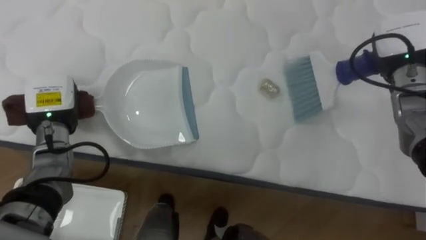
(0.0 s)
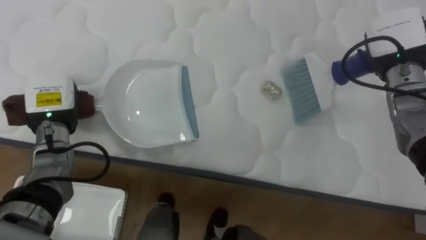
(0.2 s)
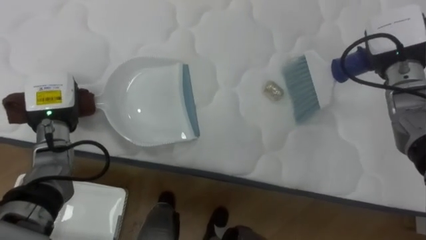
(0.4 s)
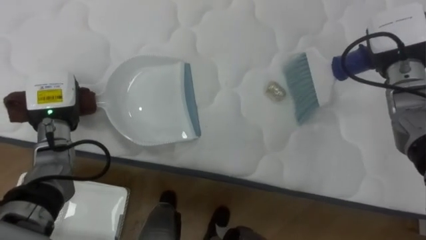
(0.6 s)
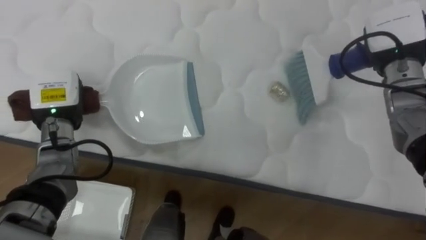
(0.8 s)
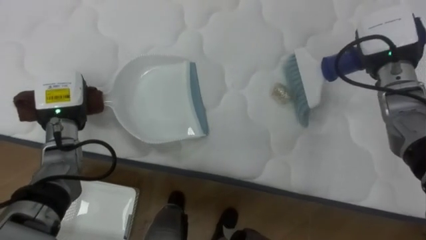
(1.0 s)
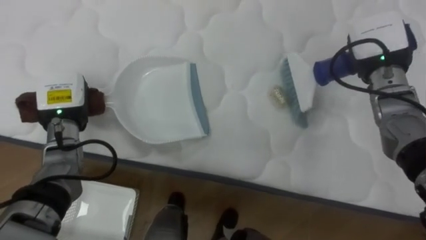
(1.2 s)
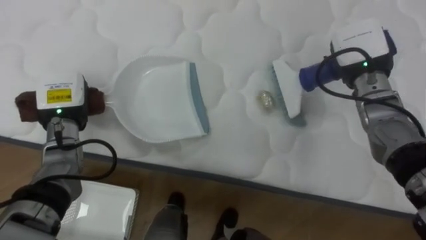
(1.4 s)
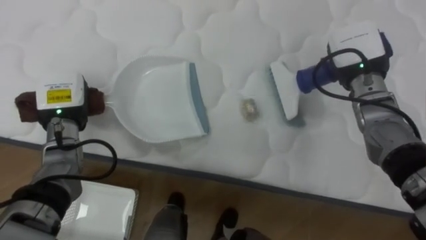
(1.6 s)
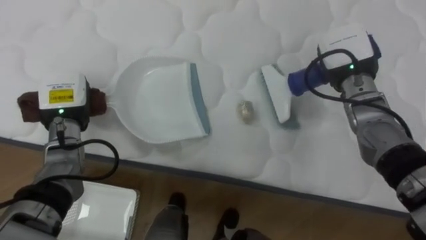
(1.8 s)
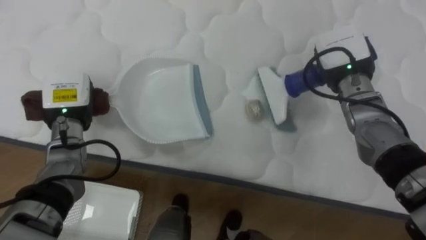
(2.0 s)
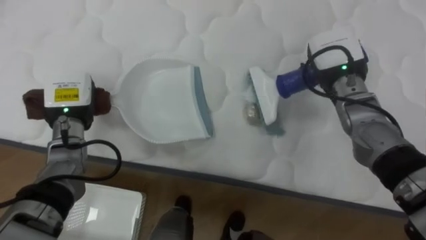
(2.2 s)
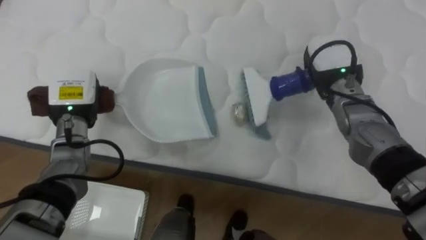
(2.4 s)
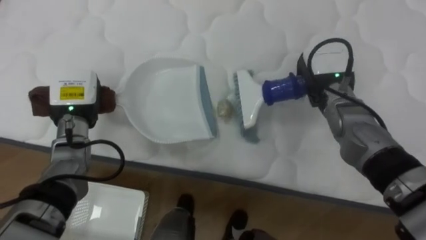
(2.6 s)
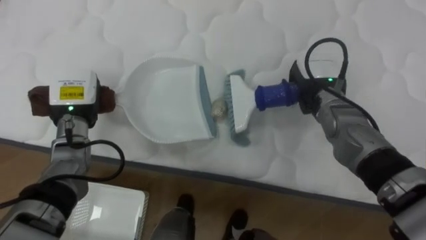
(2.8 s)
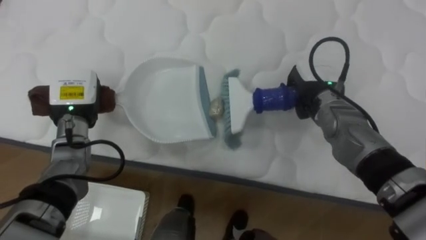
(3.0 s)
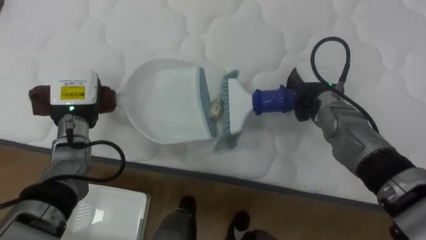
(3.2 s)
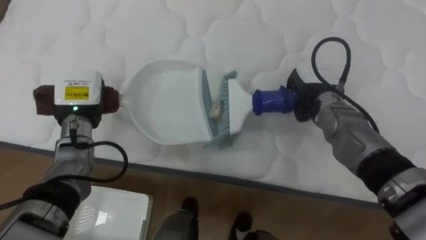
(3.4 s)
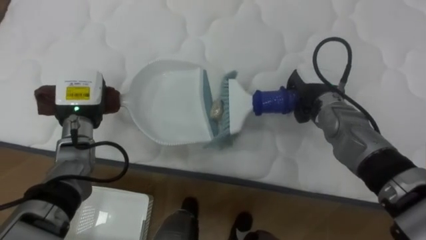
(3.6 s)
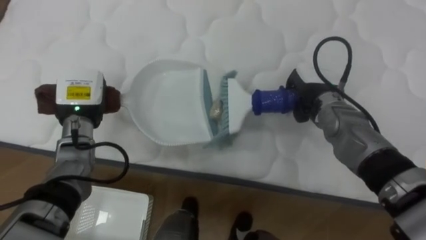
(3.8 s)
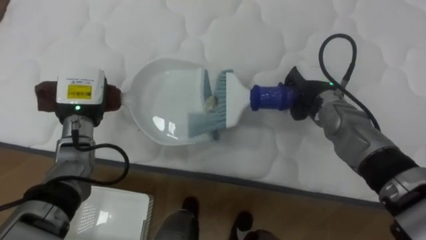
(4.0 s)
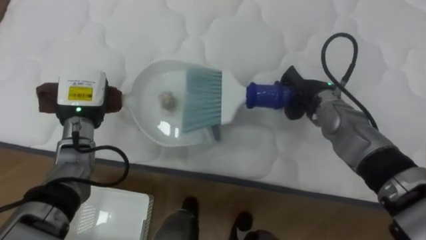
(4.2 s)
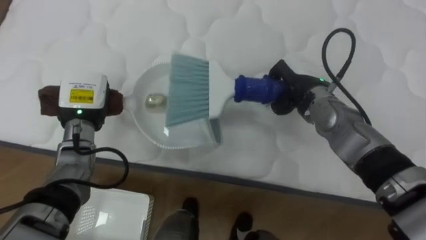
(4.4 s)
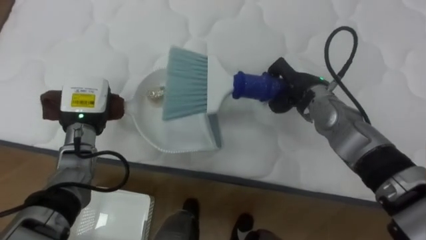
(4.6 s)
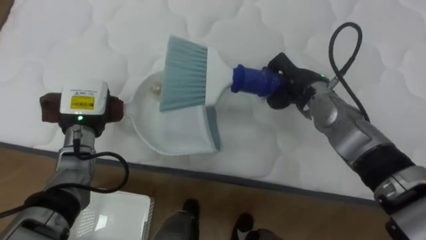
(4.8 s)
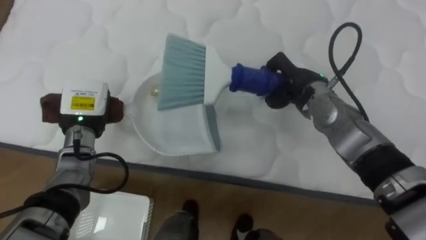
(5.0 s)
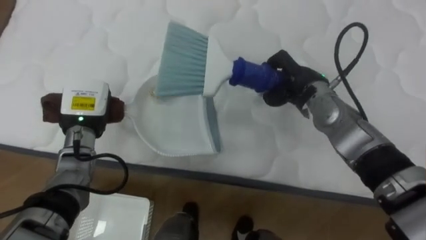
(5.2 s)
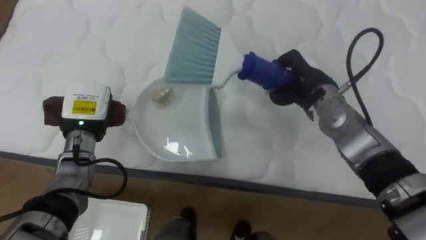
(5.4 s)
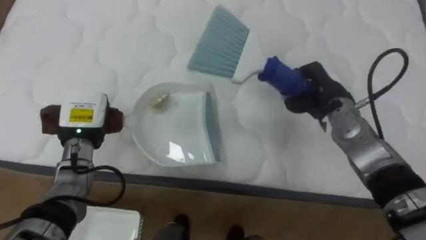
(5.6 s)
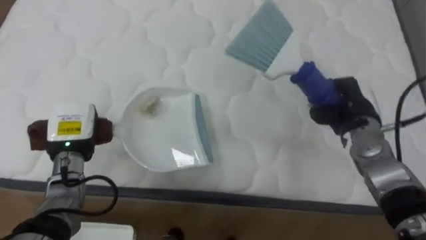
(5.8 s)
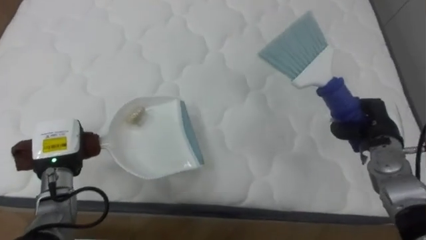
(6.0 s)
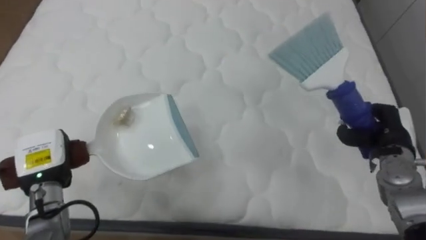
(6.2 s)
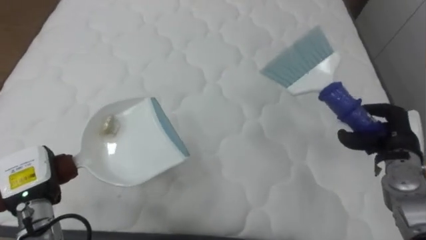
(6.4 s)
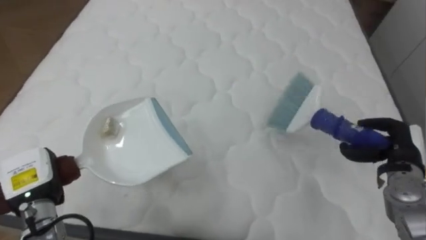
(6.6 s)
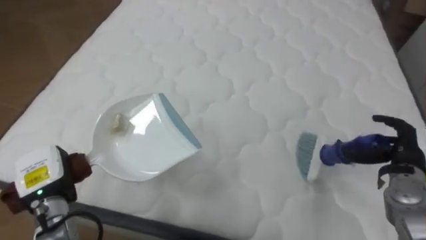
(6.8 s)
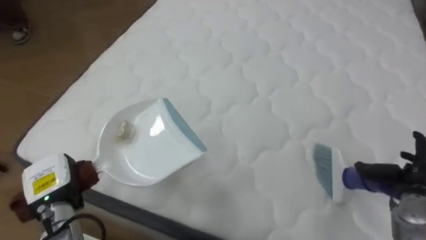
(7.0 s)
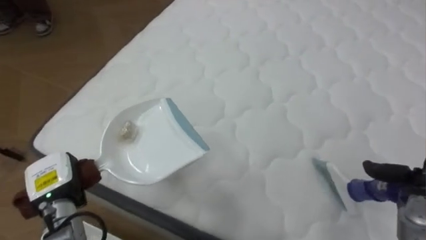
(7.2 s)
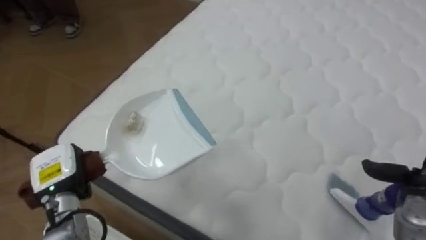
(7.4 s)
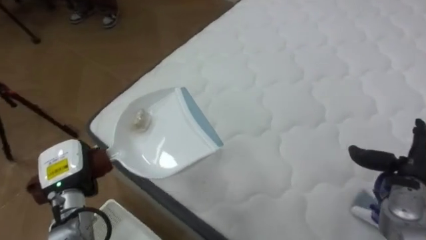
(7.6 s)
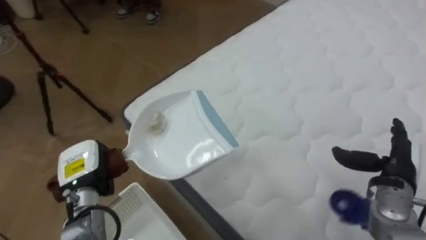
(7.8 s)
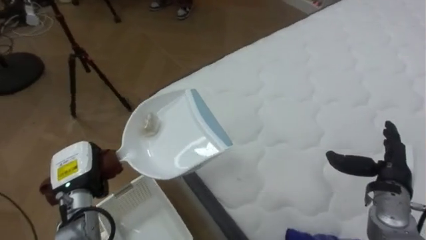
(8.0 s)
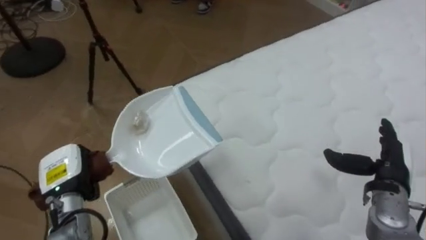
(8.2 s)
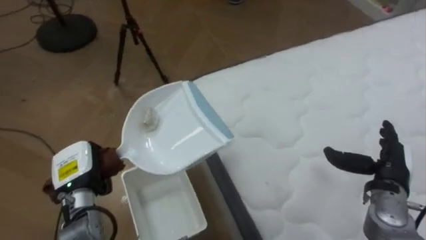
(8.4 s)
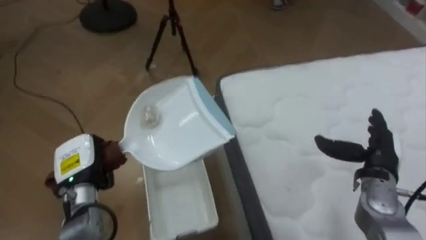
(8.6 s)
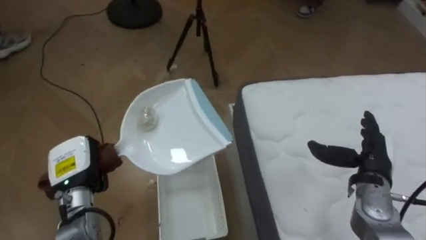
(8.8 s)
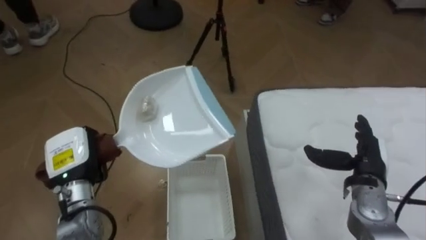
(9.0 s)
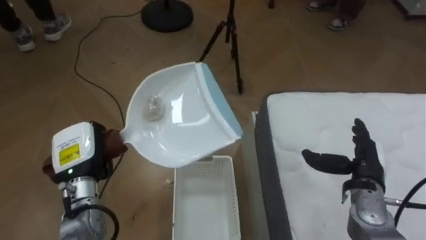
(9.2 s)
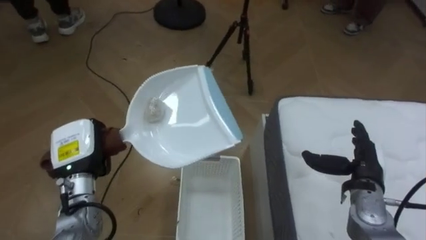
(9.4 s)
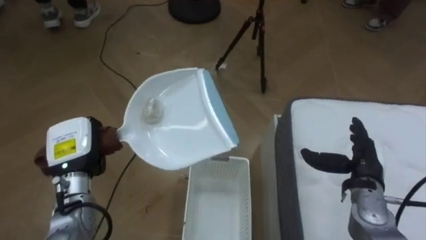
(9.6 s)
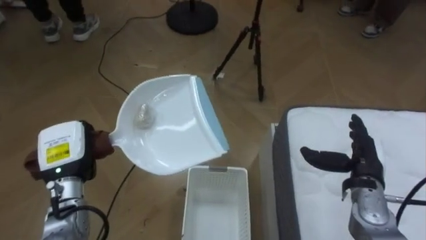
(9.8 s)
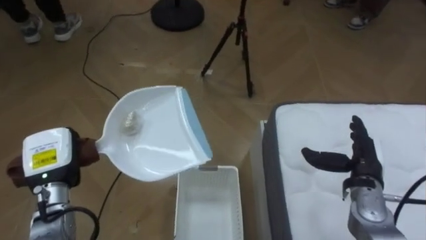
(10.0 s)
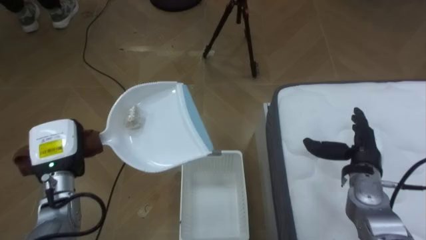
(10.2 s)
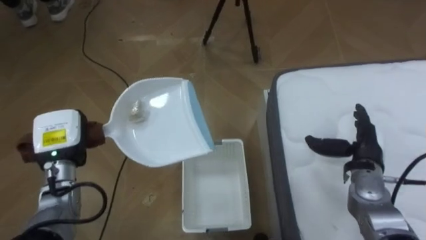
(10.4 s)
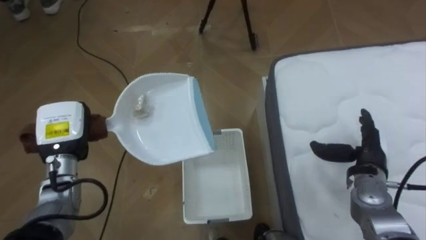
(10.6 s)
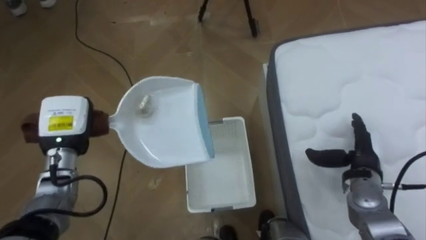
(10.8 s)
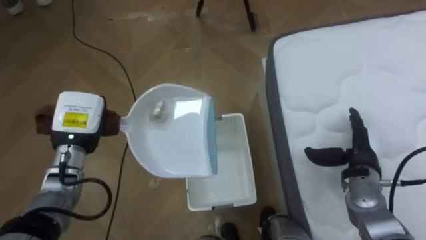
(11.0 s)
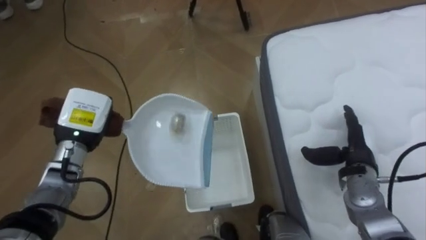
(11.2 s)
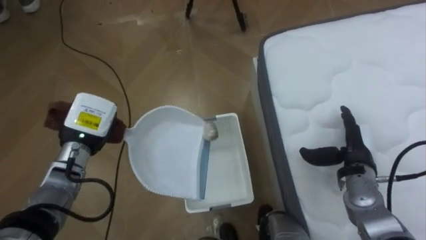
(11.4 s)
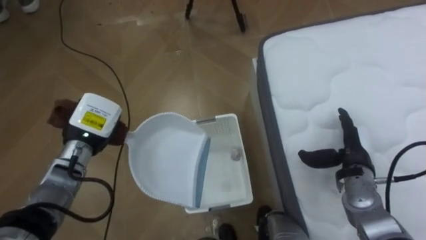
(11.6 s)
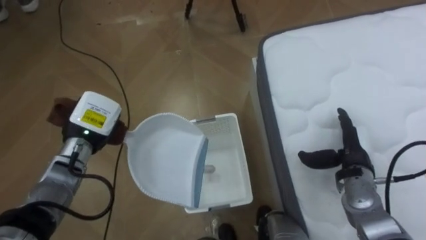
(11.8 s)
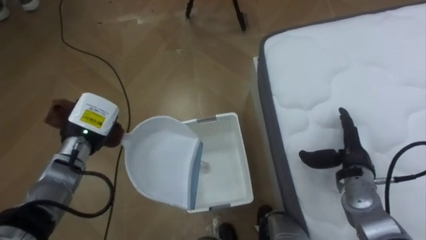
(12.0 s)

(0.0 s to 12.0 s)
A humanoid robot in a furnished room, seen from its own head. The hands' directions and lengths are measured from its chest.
Task of the whole recording: Pick up the brush on your right and the dustpan on your left. Use the brush to sweep the crumpled paper on the bed into the dustpan, then turn left and empty it into the basket.
0.0 s - 1.6 s: The right hand heads to the left, covering about 5 cm.
1.6 s - 3.0 s: The right hand moves downward and to the left, about 10 cm.
3.0 s - 4.4 s: The hands make only small movements.
4.4 s - 6.0 s: The left hand shifts some 10 cm backward, downward and to the left; the right hand shifts some 15 cm to the right and backward.
6.0 s - 7.6 s: The robot turns to its left by about 35 degrees. The right hand shifts approximately 10 cm backward, and opens.
7.6 s - 9.0 s: The robot rotates some 45 degrees to its left. The right hand travels to the left by approximately 5 cm.
10.4 s - 12.0 s: The left hand shifts by approximately 5 cm.

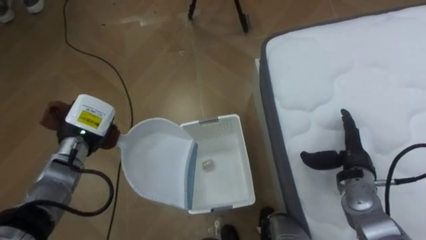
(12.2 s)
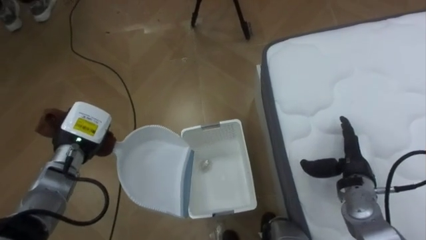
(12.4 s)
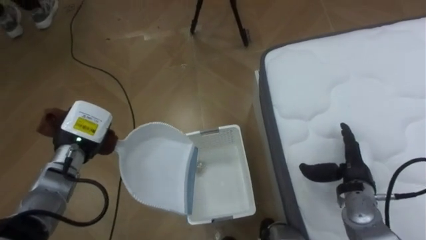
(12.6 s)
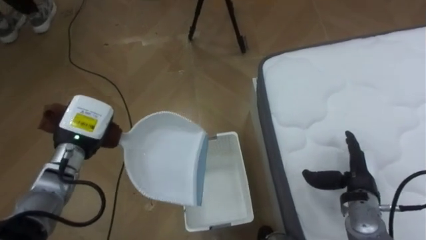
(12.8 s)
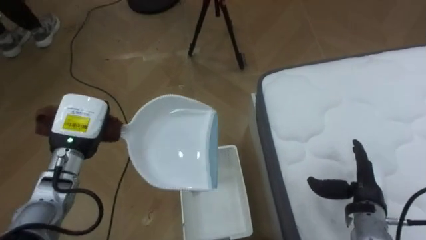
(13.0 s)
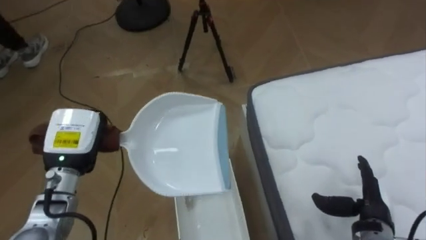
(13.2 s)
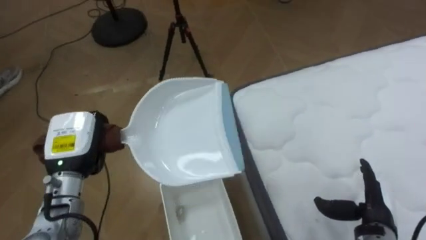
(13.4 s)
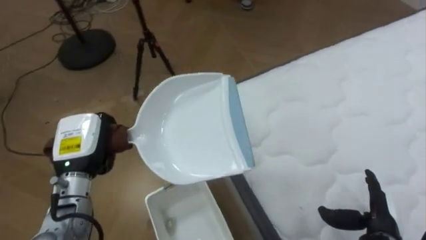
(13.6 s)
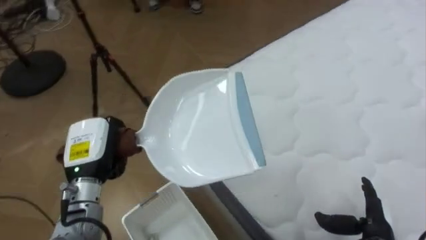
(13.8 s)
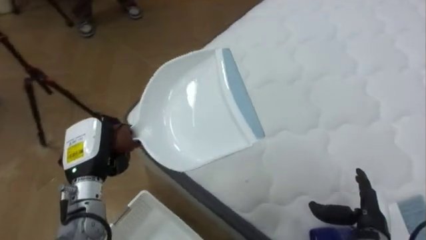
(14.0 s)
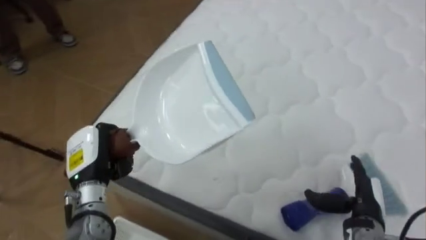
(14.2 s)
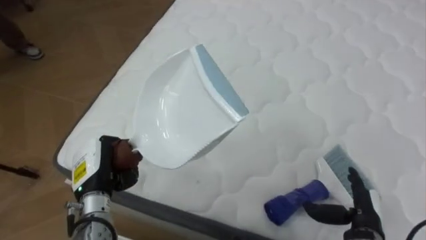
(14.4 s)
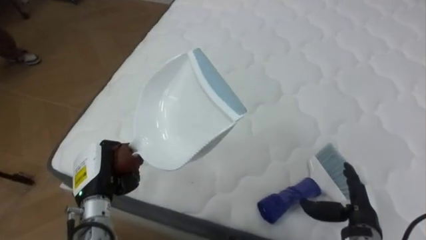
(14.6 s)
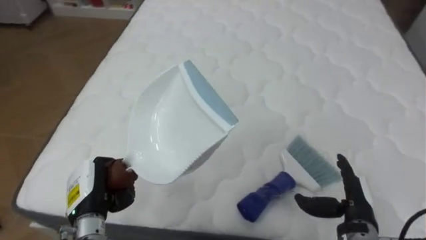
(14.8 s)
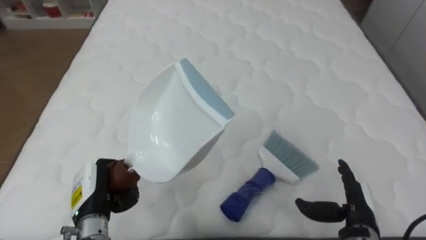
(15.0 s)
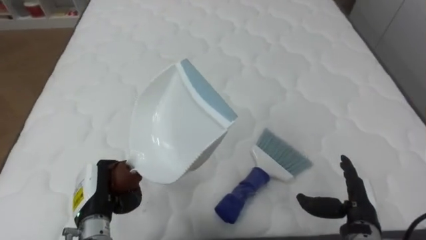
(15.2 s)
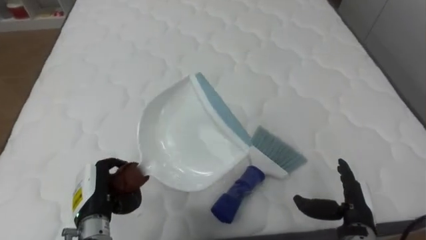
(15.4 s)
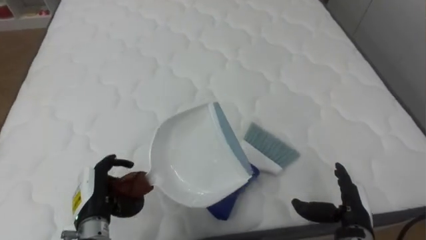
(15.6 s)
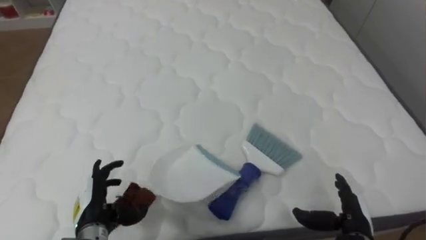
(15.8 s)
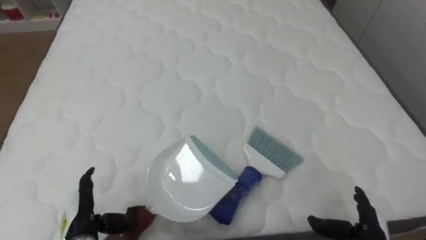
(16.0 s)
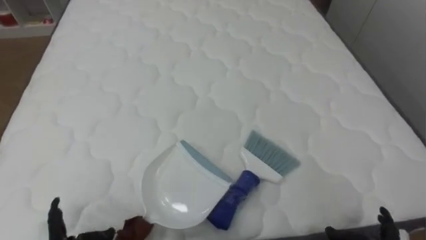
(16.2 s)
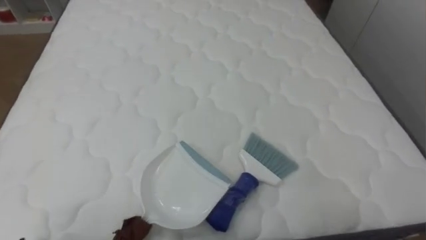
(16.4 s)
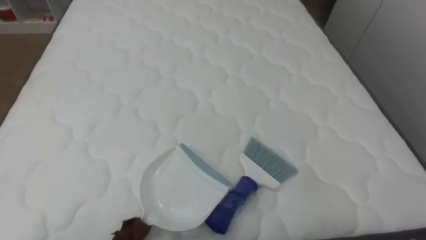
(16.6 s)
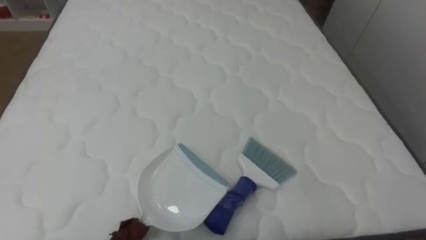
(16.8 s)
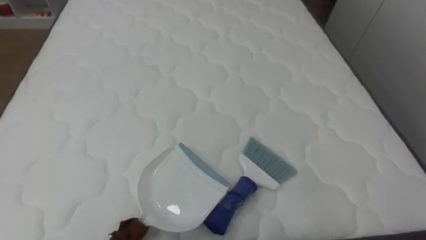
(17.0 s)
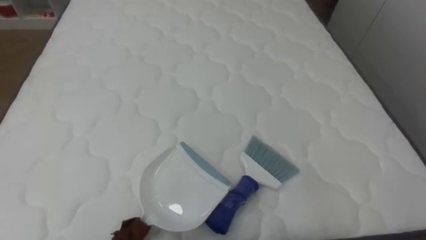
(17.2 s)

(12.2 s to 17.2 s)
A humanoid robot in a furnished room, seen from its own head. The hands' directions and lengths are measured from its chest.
Task of the whole recording: Pick up the brush on your right and the dustpan on your left. Use the brush to sweep the crumpled paper on the bed into the dustpan, then turn left and empty it into the basket.
12.2 s - 13.8 s: The robot turns to its right by about 35 degrees. The left hand shifts roughly 5 cm backward. The right hand moves backward and downward, approximately 15 cm.
13.8 s - 15.6 s: The robot's body swings some 65 degrees to its right. The left hand shifts approximately 10 cm downward and backward, and opens.
